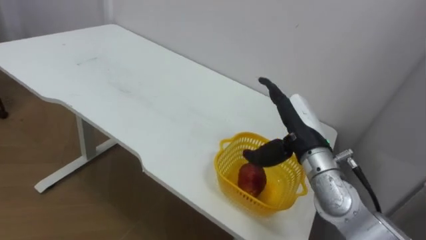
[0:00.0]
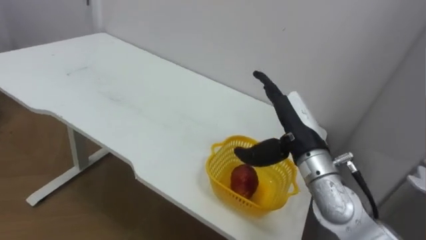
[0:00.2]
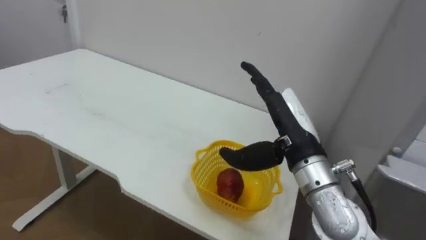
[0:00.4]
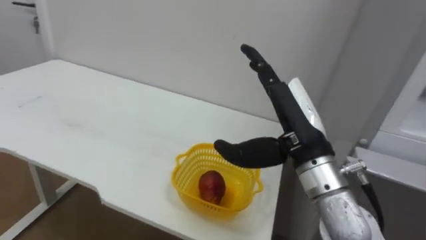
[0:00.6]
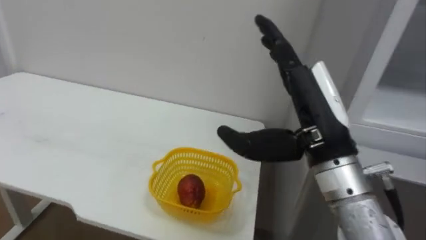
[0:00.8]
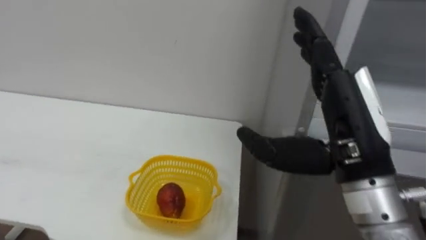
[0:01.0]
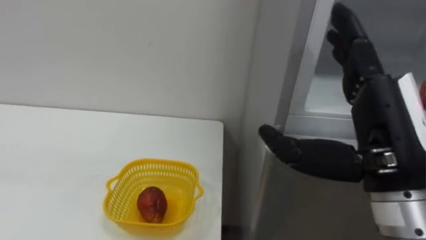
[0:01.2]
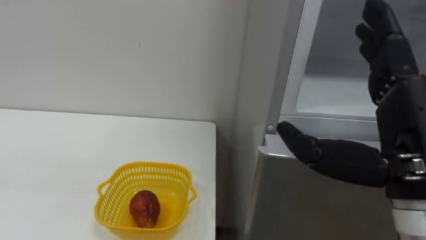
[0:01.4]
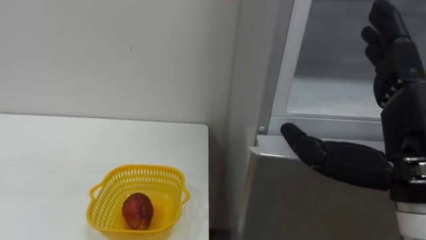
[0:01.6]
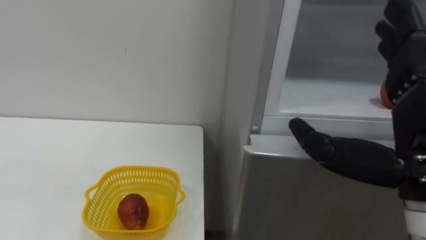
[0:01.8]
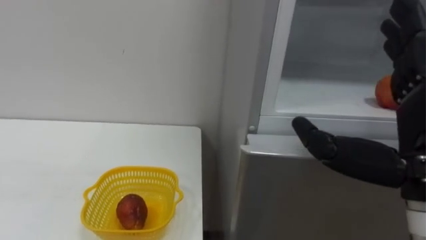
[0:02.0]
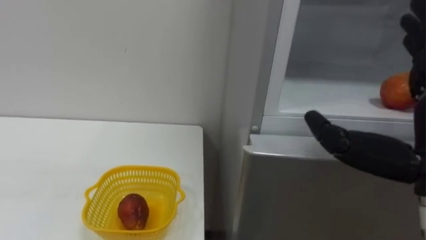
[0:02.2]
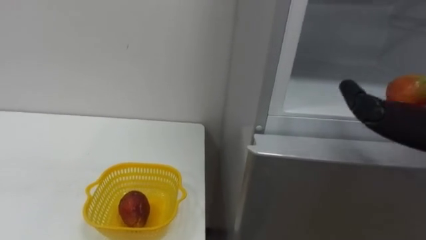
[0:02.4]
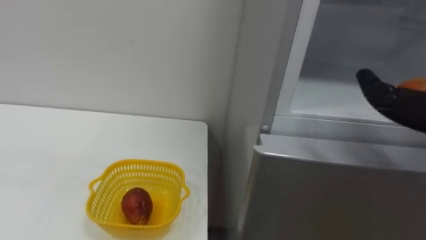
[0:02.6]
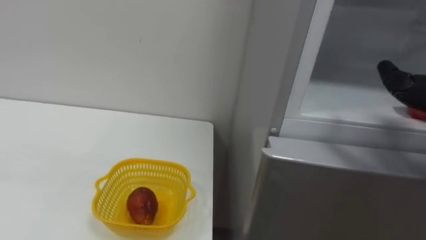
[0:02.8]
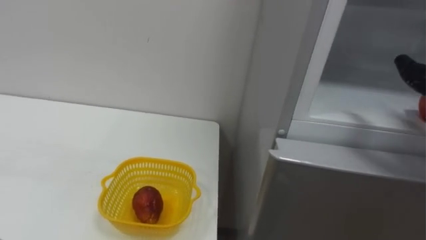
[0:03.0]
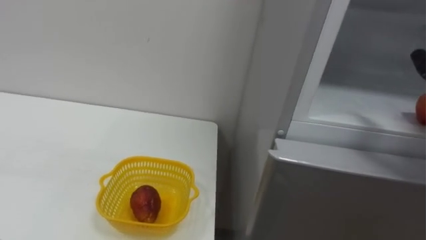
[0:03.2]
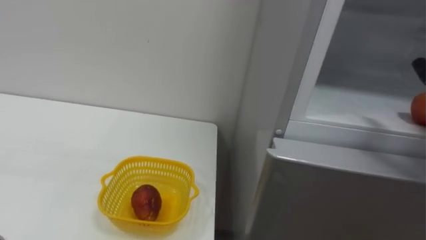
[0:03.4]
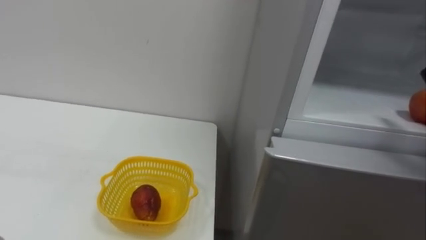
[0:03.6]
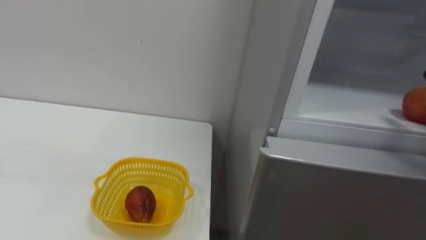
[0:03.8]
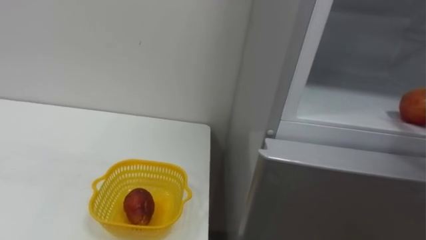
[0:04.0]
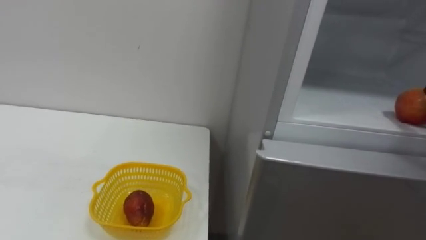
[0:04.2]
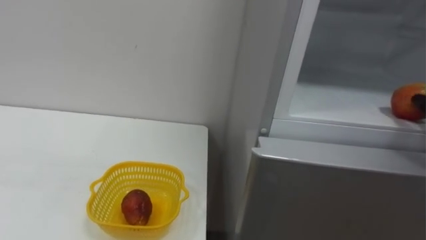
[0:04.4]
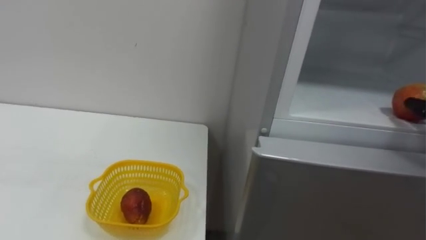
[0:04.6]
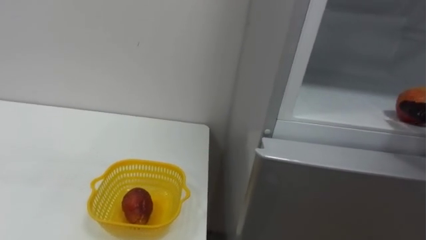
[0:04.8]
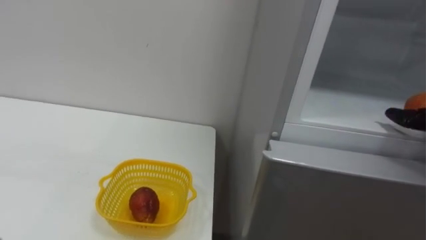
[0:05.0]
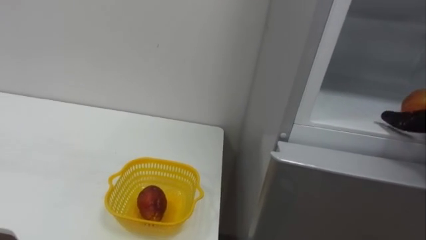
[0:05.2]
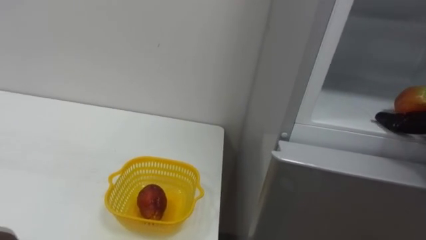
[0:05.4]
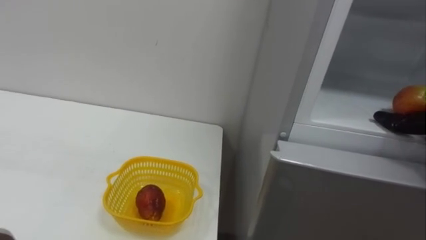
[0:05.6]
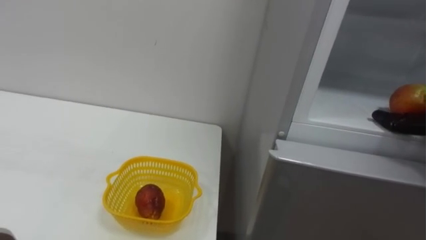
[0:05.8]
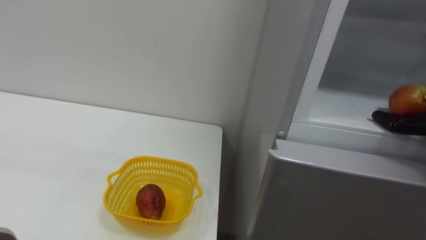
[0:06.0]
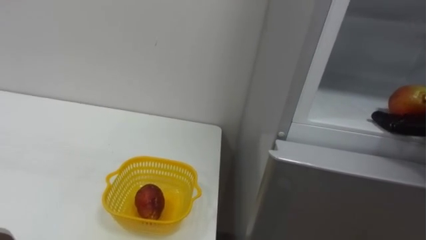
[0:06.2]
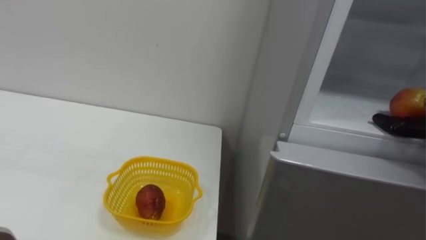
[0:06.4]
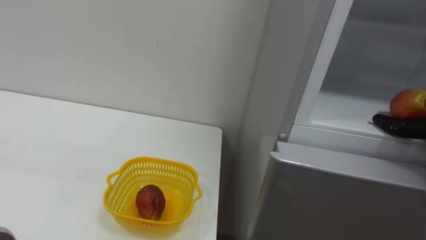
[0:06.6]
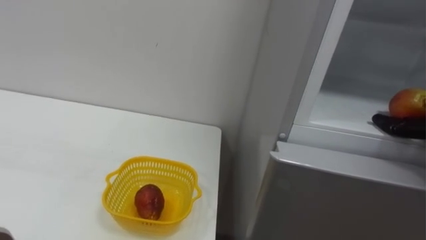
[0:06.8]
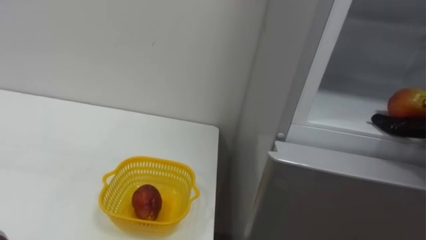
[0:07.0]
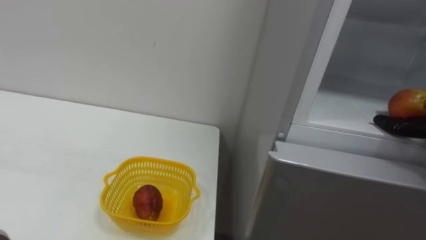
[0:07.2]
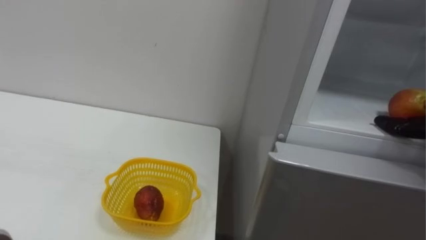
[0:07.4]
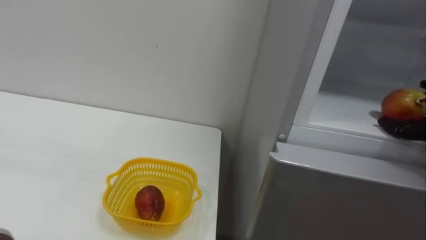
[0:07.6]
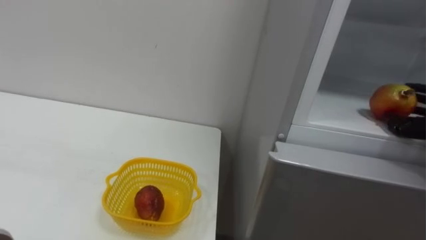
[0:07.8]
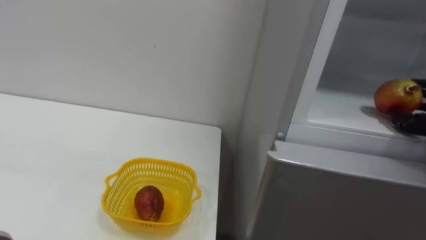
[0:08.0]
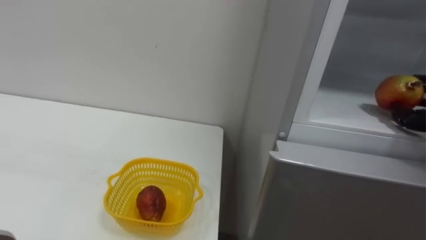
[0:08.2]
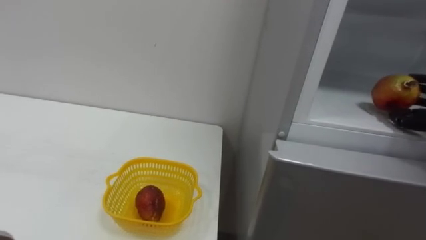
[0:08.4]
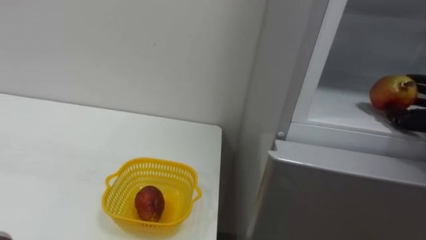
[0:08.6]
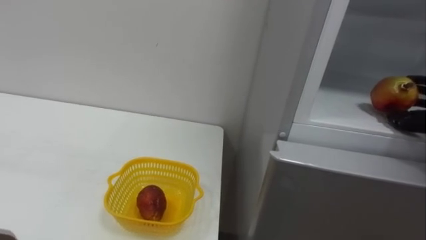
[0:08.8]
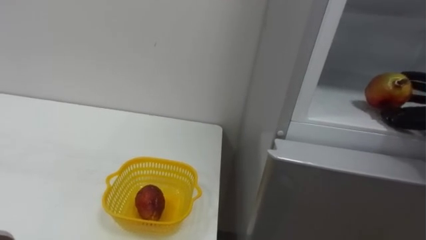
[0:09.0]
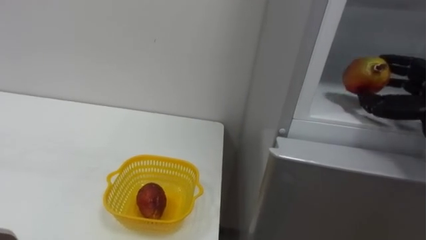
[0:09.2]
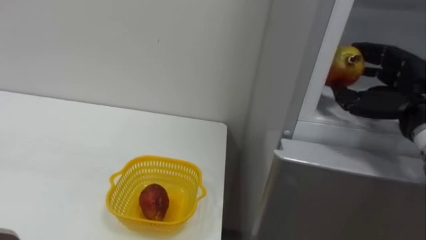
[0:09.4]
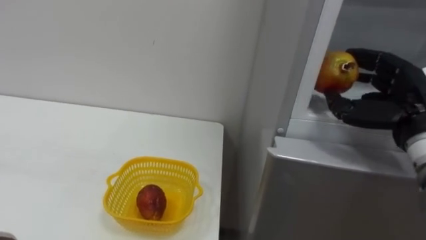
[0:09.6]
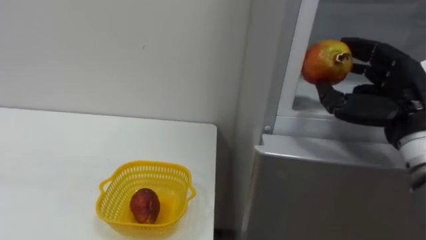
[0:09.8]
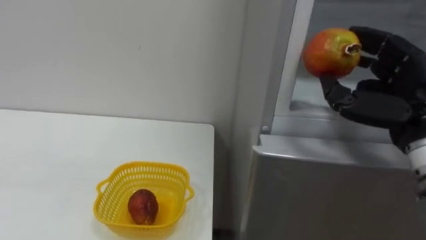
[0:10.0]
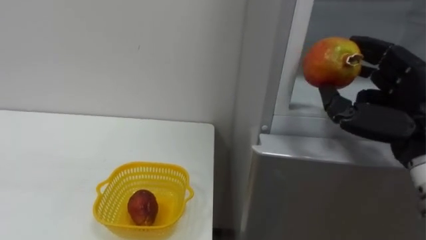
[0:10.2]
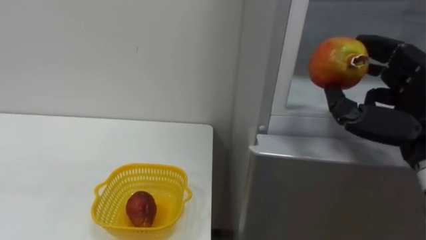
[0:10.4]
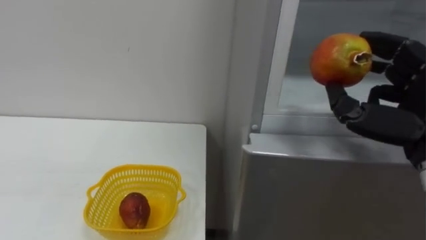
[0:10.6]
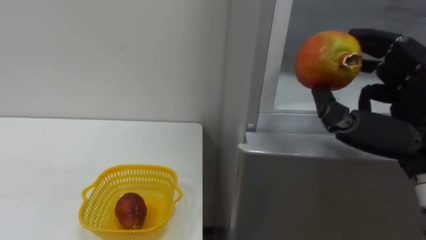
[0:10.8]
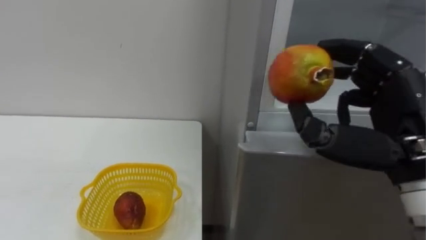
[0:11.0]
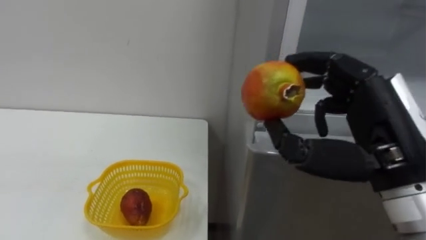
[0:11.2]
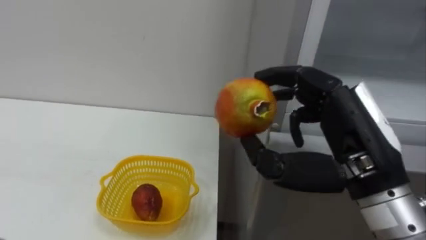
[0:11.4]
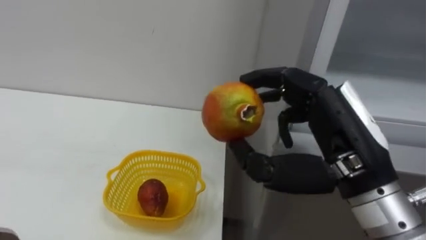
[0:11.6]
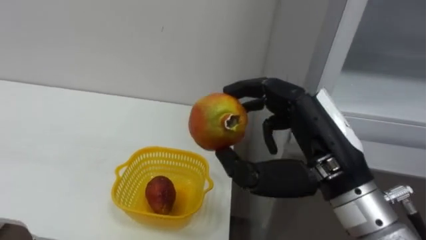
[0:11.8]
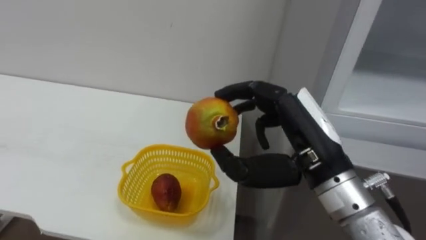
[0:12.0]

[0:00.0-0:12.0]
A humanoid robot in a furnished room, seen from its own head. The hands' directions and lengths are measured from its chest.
Task of the whole recording: Open the refrigerator door, take out the apple and the pomegranate, place them in the fruit basket on the left, and close the refrigerator door.
0:00.0 to 0:01.6: The right hand heads backward, upward and to the right, covering about 20 cm.
0:10.4 to 0:12.0: The right hand moves to the left, some 15 cm.

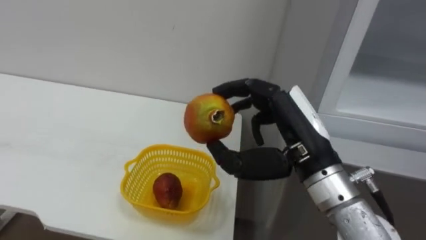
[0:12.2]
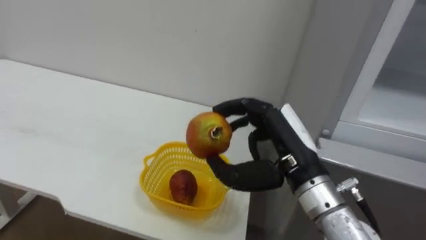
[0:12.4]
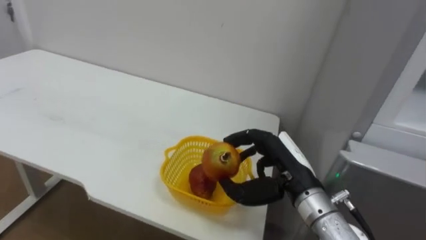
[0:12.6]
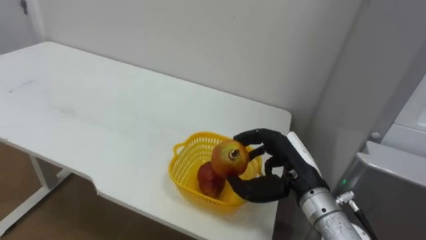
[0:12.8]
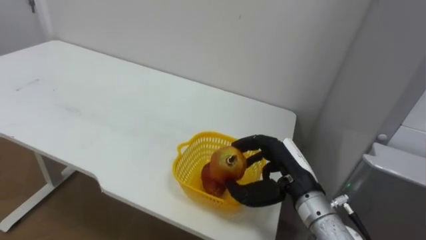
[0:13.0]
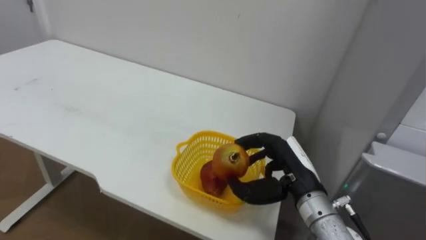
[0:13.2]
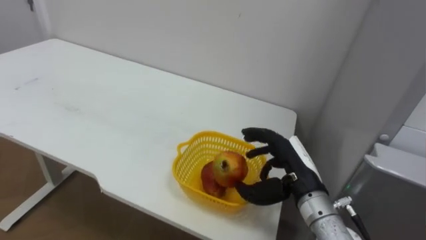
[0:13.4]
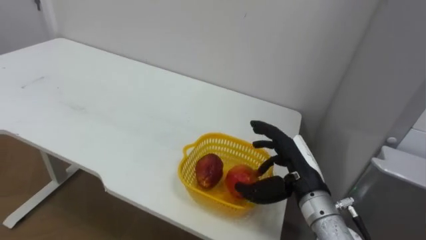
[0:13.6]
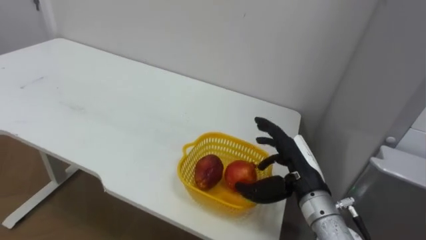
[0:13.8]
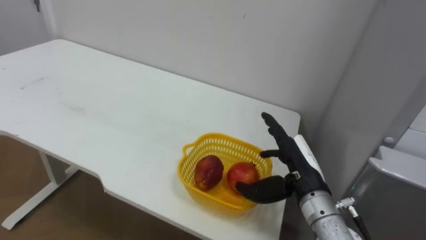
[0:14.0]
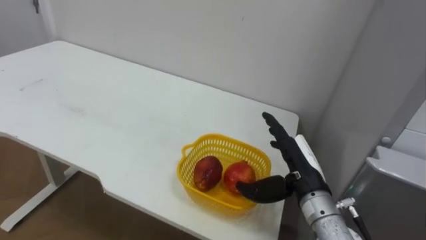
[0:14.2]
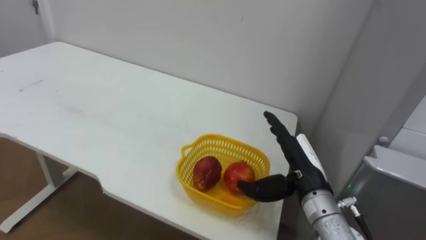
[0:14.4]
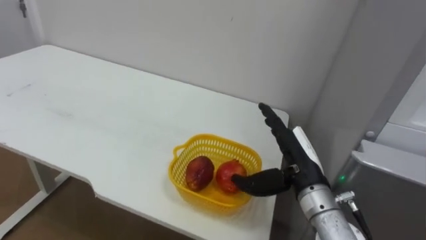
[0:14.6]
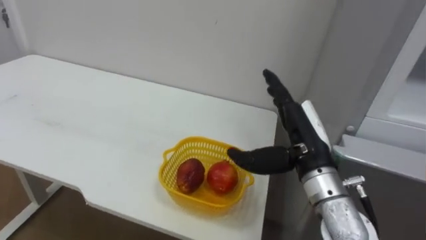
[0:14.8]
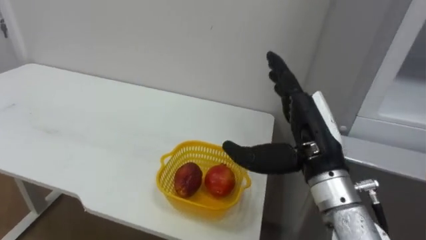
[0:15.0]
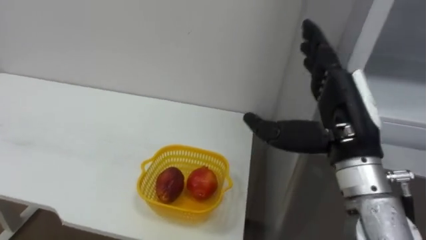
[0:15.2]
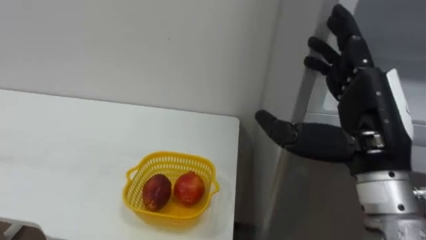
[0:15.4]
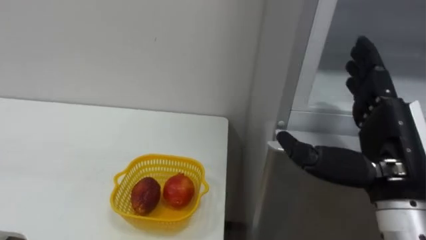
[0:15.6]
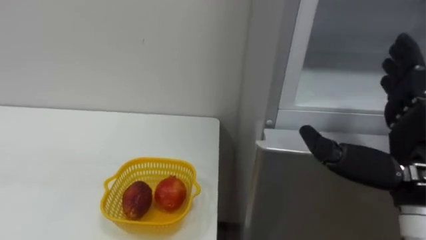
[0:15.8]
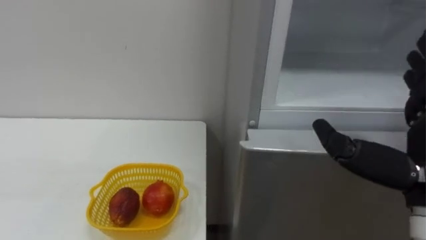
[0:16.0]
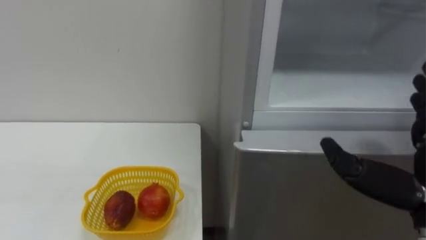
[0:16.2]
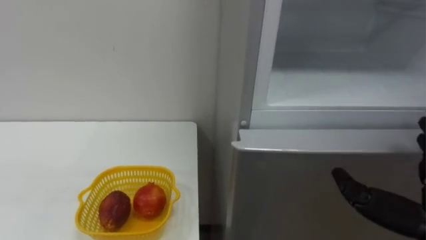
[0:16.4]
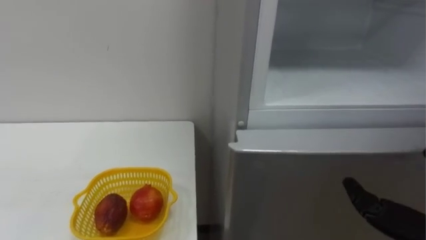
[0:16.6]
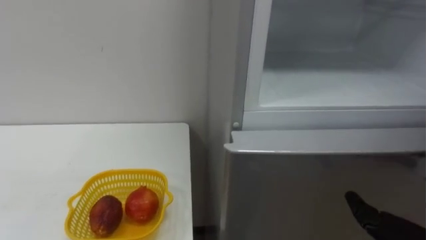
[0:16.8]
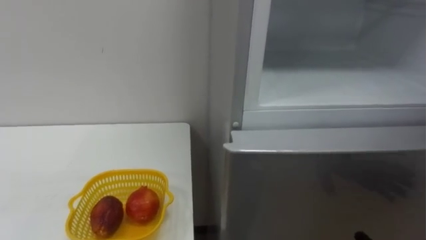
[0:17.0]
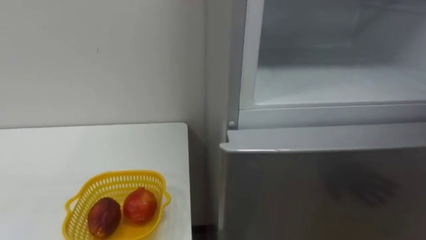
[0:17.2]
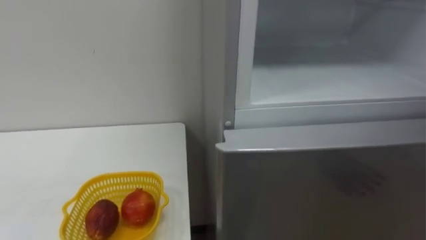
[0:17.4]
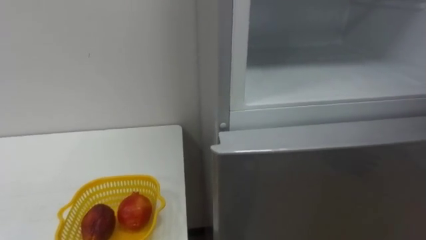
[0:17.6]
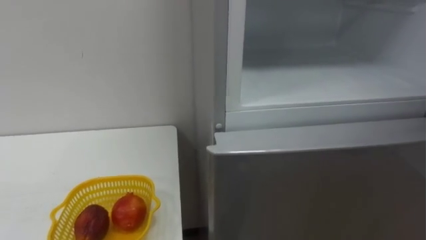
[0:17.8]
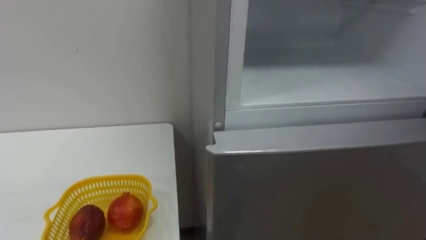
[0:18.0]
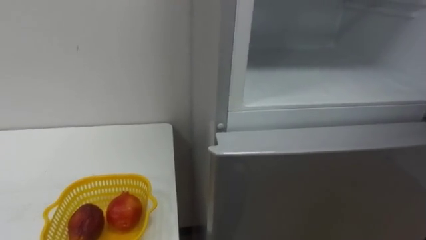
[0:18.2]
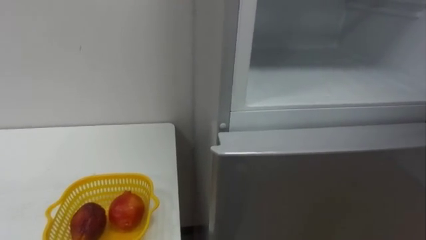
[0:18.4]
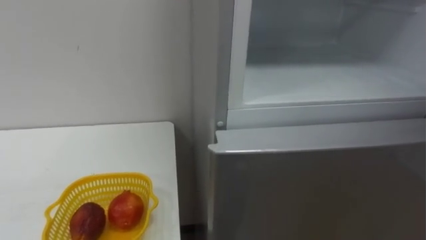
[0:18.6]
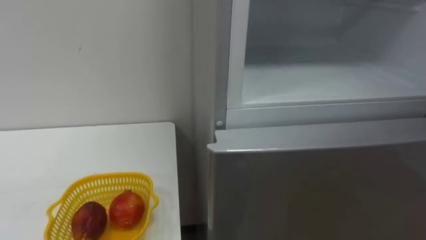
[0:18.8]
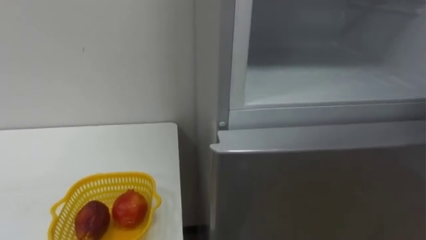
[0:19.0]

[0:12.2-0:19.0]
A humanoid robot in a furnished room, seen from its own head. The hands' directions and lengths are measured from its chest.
Task of the whole recording: Open the refrigerator door, take out the apple and the pomegranate, place them in the fruit basket on the left, and close the refrigerator door.
0:12.2 to 0:13.6: The right hand travels downward and forward by roughly 15 cm.
0:13.6 to 0:15.0: The right hand travels upward by about 10 cm.
0:15.0 to 0:16.2: The right hand heads to the right and backward, covering some 15 cm.
